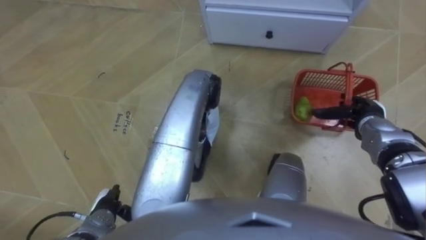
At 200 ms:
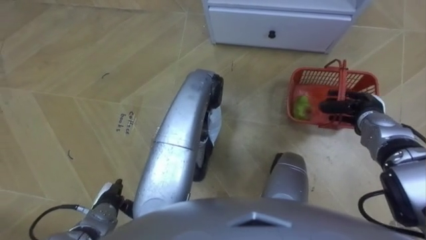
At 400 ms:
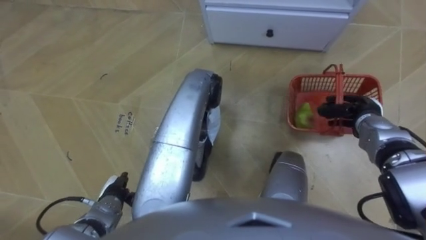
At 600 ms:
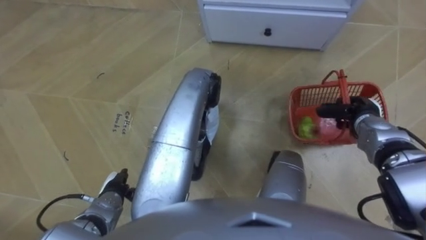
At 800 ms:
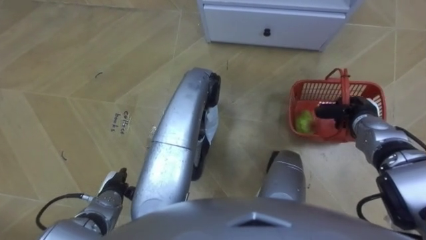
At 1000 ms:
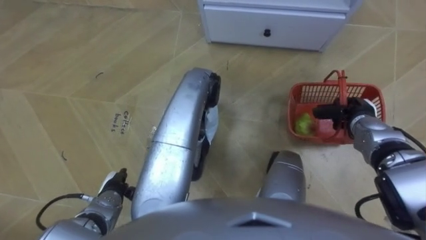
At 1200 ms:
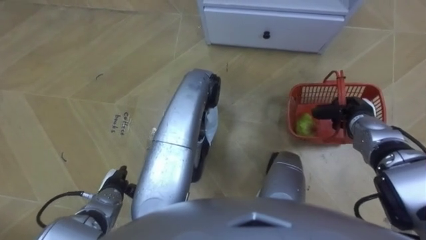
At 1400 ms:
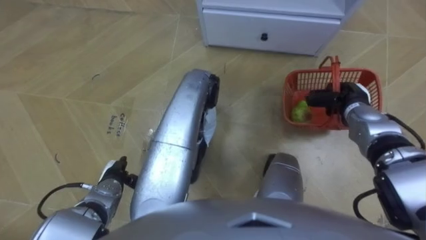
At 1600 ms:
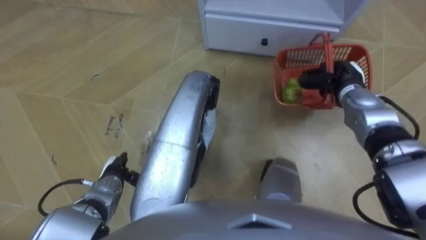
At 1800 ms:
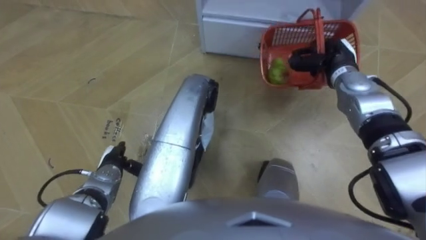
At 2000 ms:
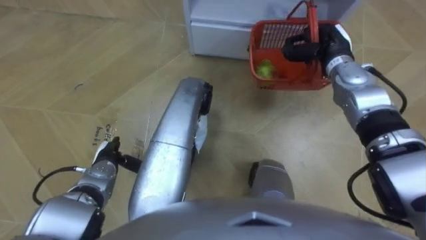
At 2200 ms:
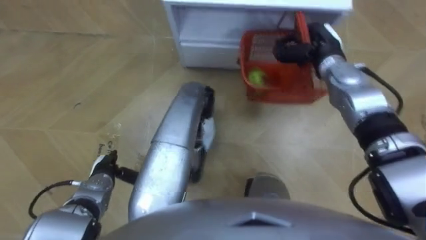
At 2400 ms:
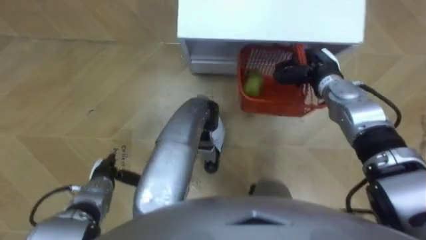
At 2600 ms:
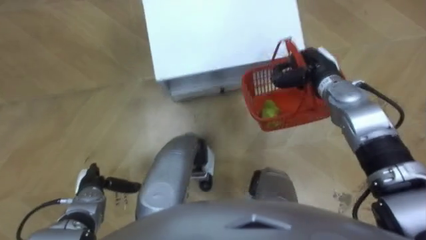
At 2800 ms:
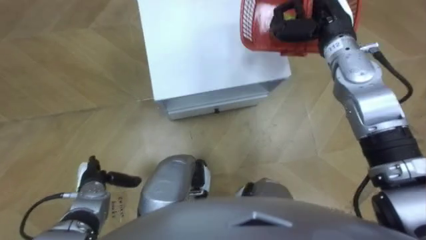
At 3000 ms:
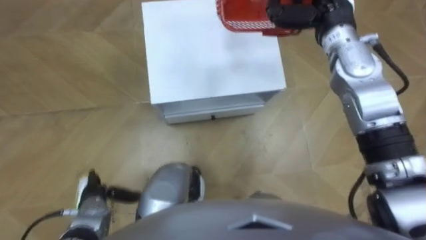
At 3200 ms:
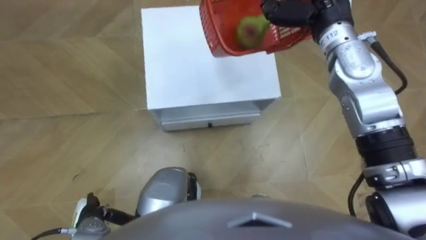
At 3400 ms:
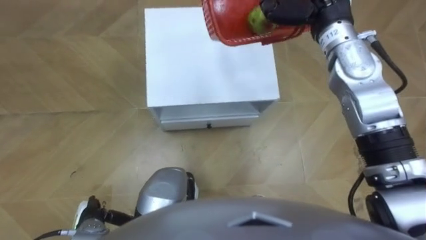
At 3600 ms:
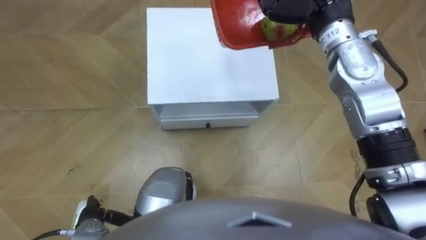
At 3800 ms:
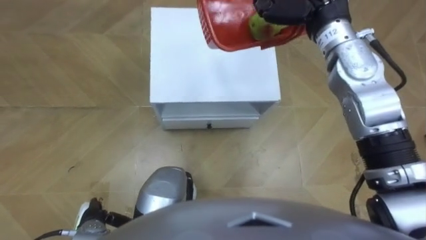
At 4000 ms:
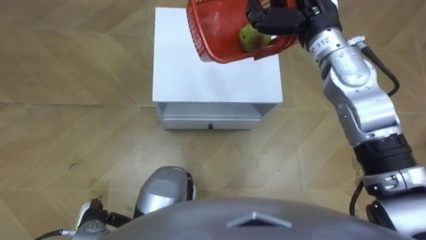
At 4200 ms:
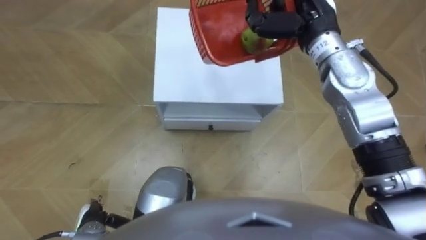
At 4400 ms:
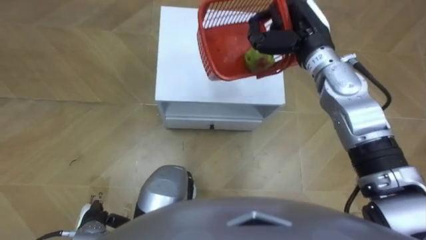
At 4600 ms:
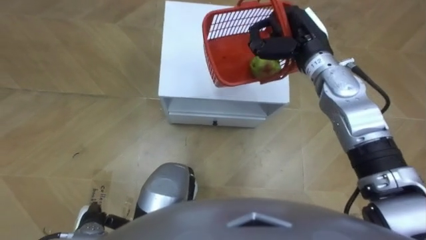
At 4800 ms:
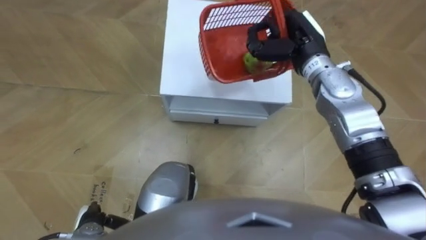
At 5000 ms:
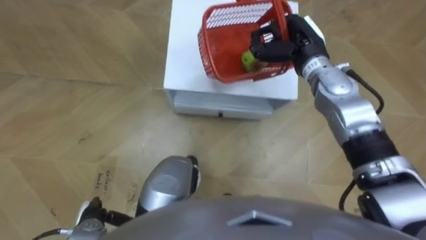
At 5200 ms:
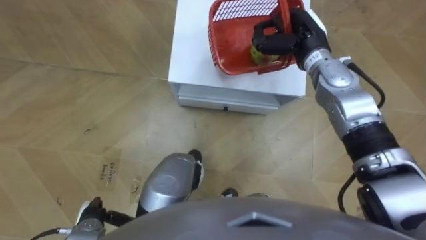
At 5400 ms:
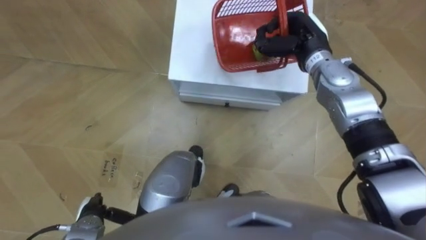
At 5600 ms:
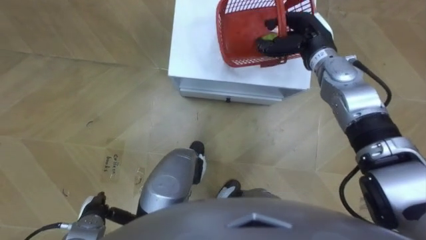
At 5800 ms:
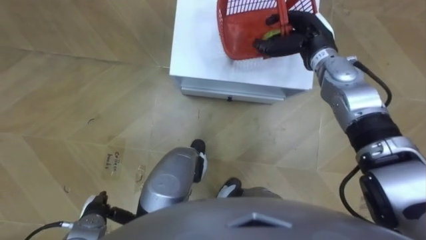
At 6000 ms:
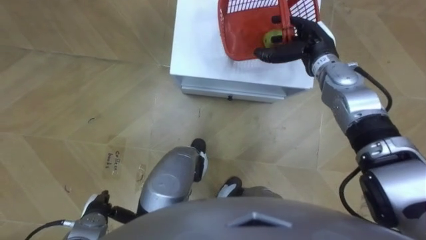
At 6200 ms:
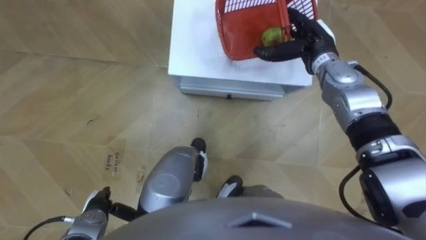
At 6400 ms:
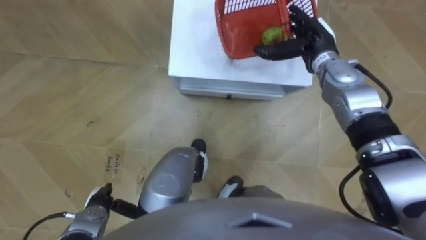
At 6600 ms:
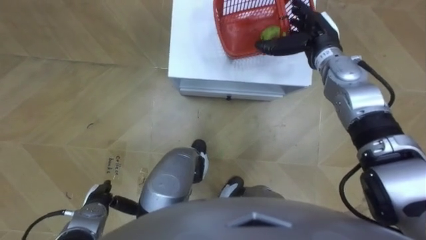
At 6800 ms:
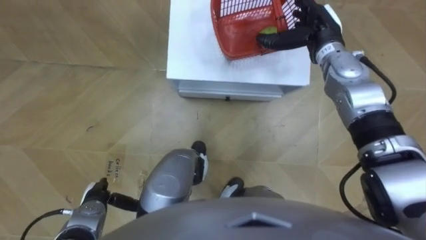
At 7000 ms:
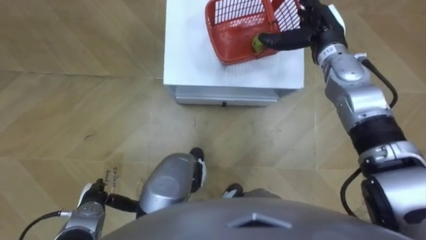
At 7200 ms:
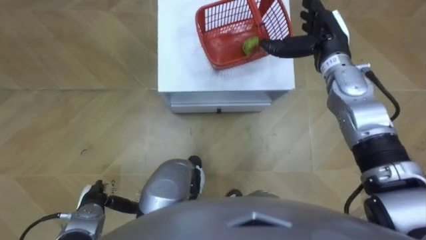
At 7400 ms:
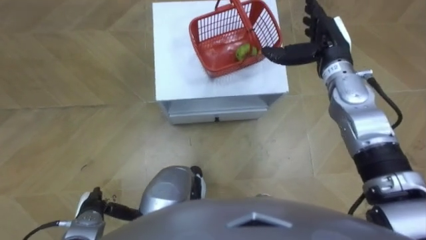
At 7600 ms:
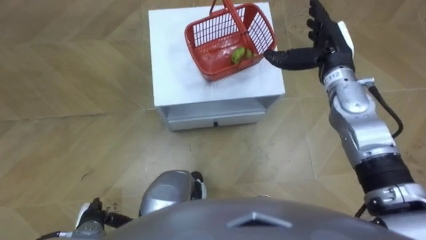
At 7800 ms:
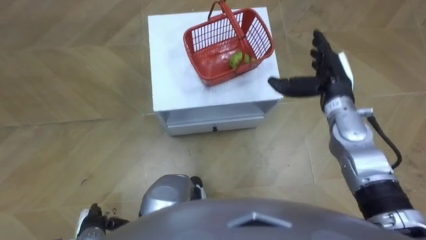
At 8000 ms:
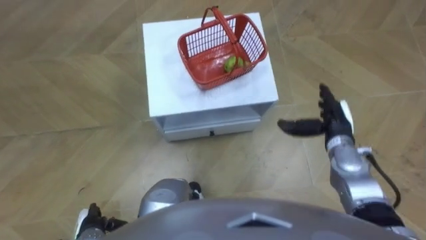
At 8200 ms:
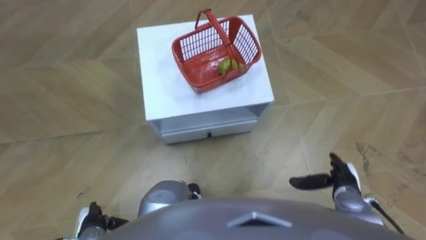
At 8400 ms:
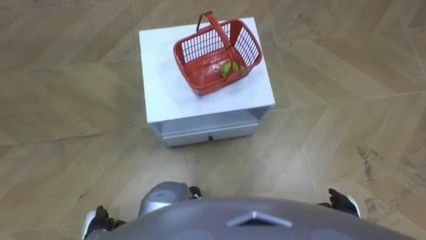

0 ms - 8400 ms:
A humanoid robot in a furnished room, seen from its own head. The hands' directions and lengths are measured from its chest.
Task of the whole recording: Pick up the fruit basket from the floor and place it on the cabinet.
0 ms - 1400 ms: The left hand travels forward by some 5 cm; the right hand closes its fingers.
1400 ms - 2800 ms: The robot turns to its right by approximately 20 degrees. The right hand goes some 20 cm upward, to the left and forward.
2800 ms - 4200 ms: The left hand heads backward, covering some 10 cm.
4200 ms - 5600 ms: The right hand heads downward, covering roughly 10 cm.
5600 ms - 7000 ms: The right hand opens.
7000 ms - 8400 ms: The right hand travels backward and downward by roughly 40 cm; the left hand goes roughly 5 cm backward.

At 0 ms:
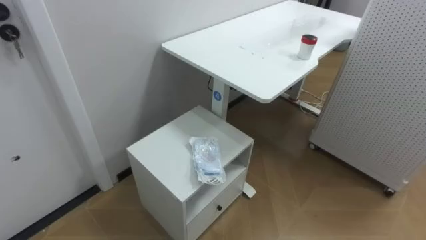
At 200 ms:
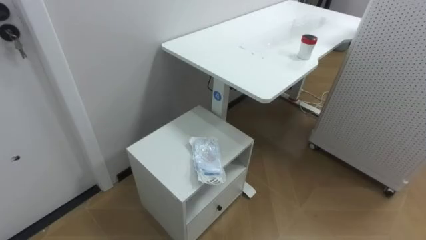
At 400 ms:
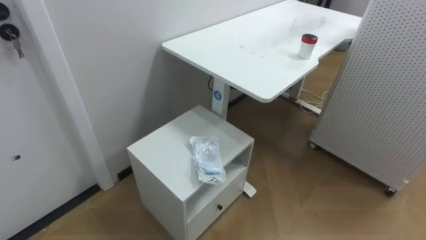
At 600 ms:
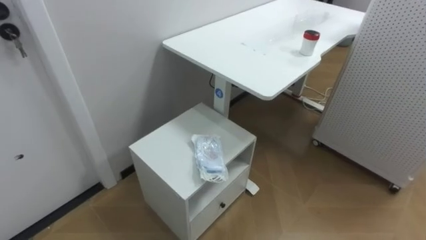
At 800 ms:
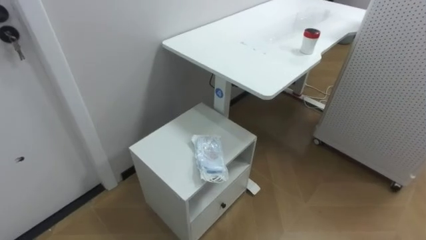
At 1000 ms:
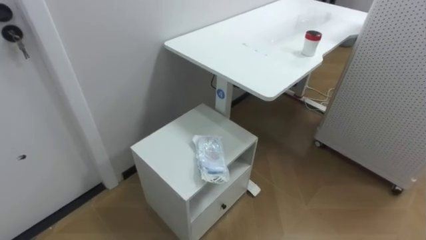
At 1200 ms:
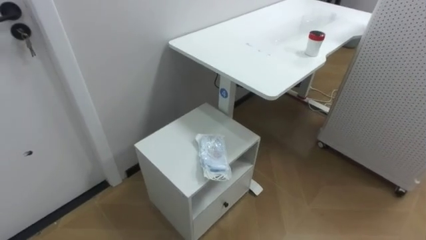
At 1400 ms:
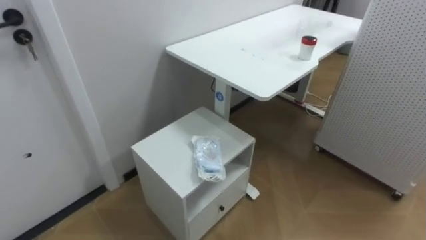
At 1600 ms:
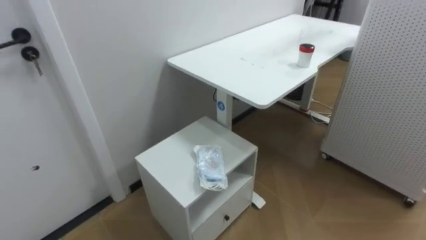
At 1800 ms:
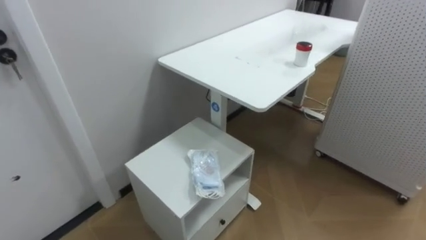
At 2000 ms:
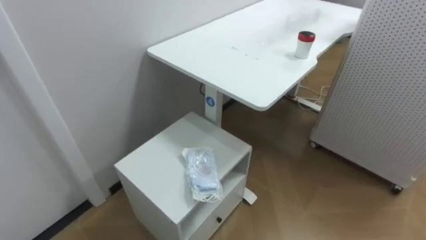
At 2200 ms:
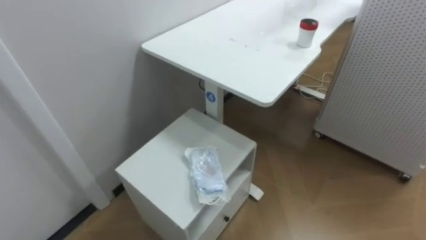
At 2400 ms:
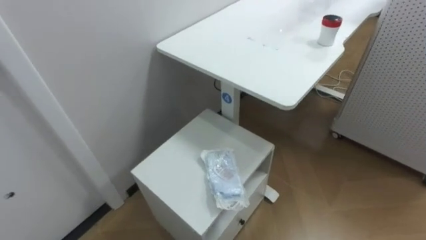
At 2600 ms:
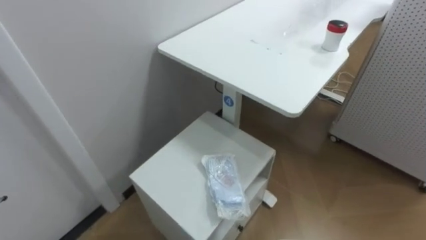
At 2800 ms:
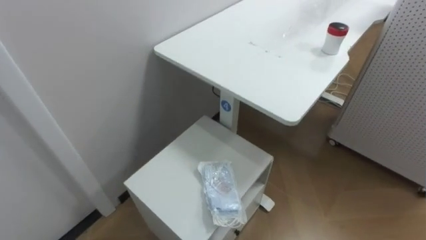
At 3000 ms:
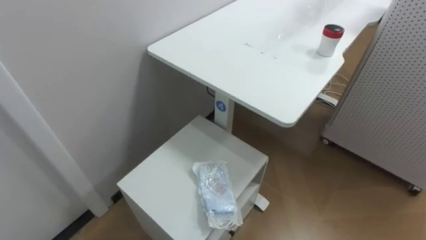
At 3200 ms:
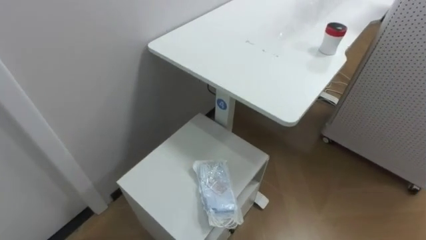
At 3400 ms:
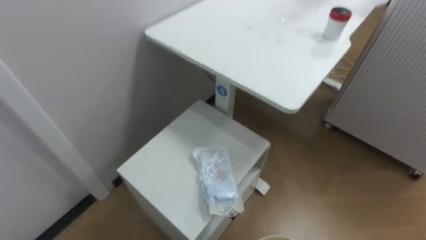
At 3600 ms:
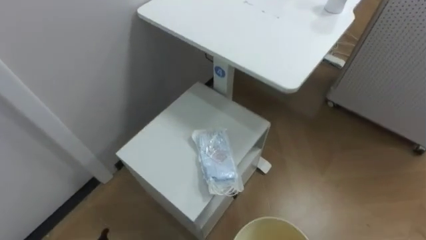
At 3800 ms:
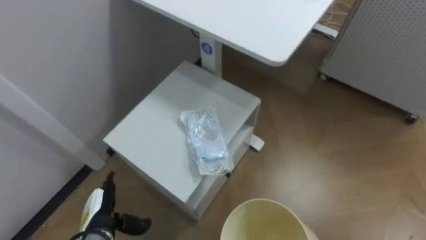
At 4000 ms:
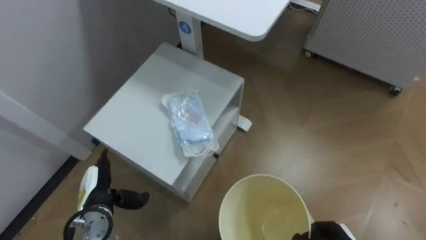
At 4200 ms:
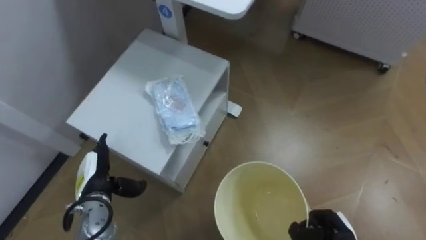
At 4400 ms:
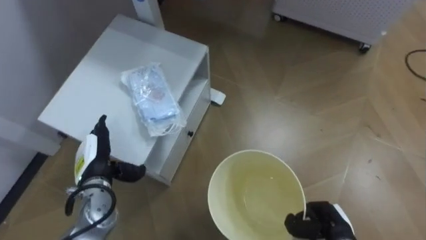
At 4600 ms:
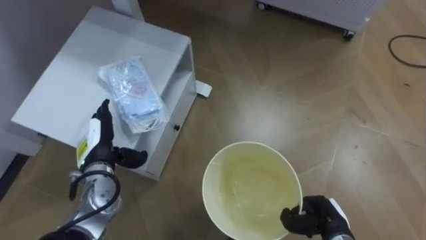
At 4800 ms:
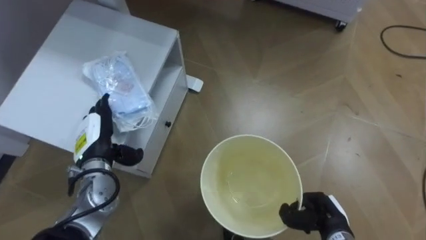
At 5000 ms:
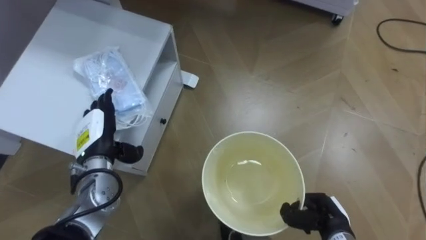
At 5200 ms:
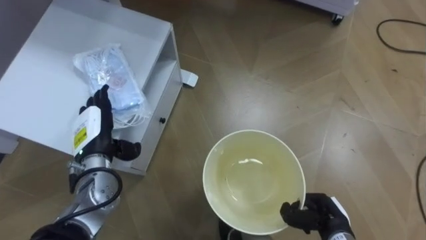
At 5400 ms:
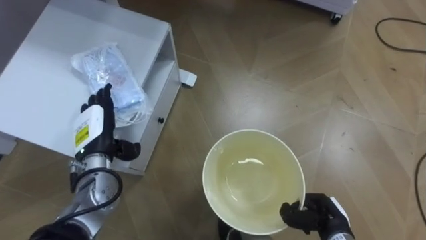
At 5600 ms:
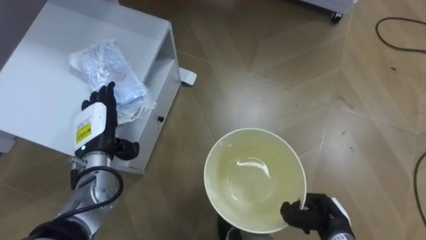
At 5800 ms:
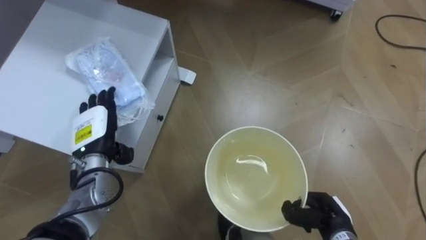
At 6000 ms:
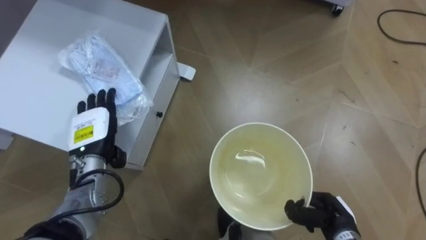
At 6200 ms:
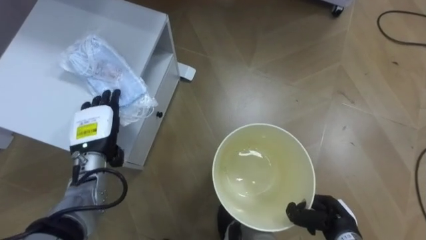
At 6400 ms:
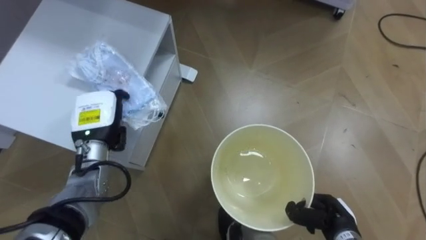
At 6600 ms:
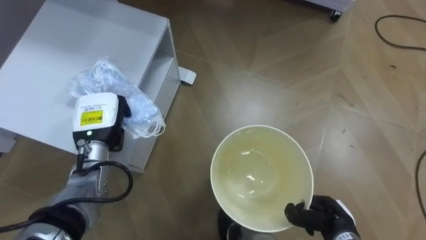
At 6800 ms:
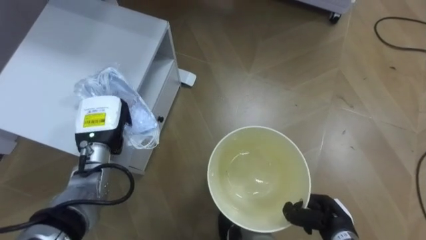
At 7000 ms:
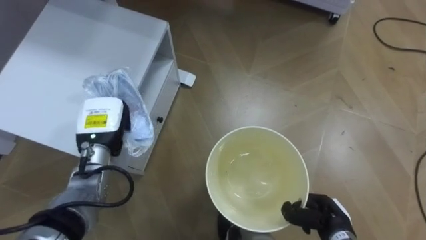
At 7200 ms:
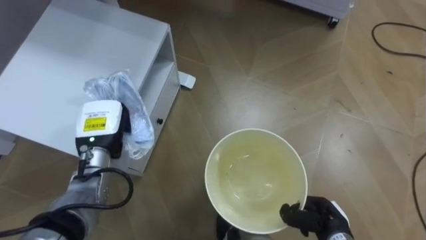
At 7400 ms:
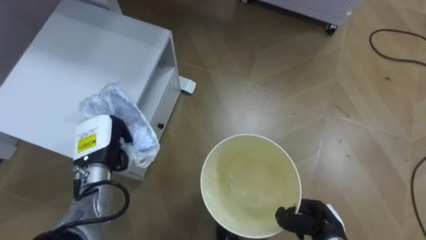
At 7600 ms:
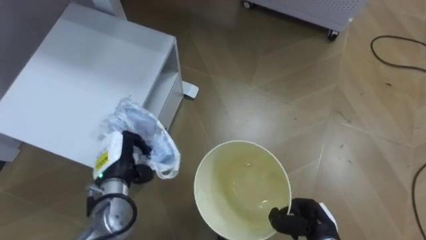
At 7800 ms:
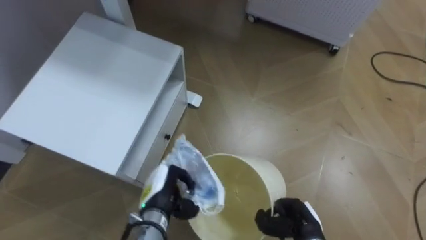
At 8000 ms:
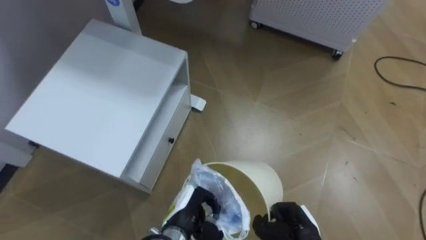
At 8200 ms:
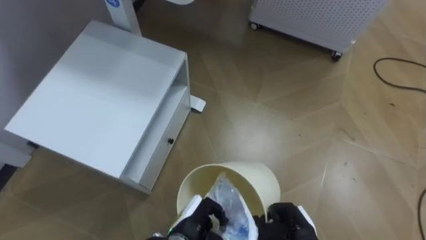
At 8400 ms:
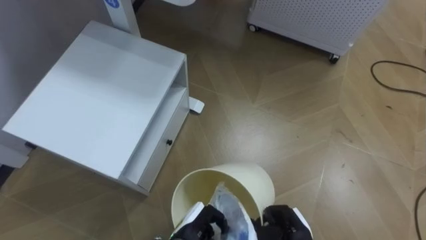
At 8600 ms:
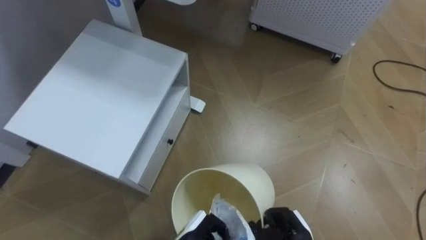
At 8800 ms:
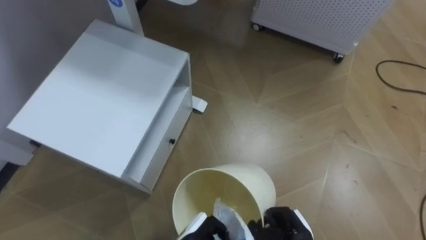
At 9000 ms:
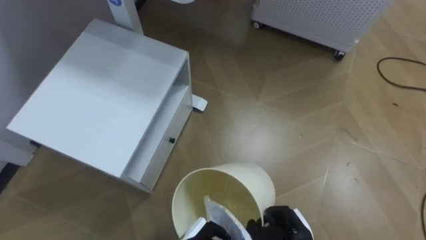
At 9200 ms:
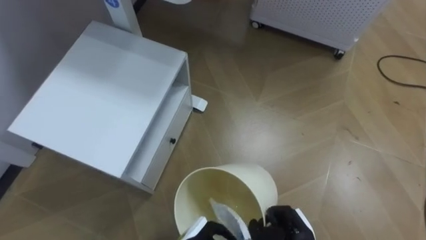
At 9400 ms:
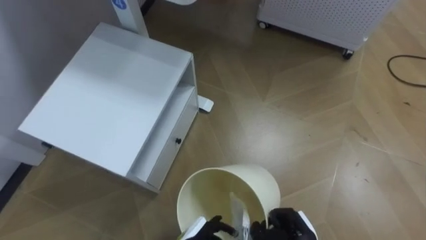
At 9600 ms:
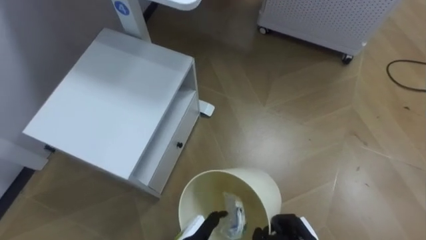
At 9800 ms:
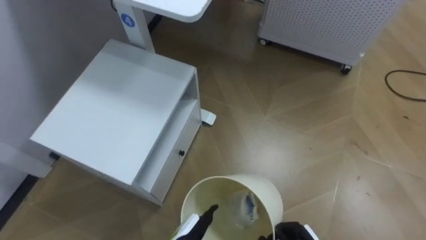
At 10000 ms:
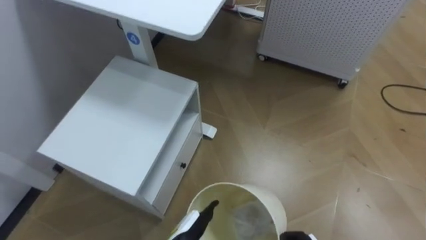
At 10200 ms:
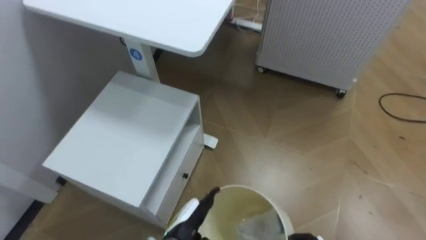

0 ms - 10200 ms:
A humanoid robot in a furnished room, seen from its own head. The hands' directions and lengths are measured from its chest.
Task of the whole recording: Pick up the light blue package, the candy box, and the dark blue package separately, and put them into the trash can held in your right hand.
4400 ms - 5800 ms: The left hand shifts approximately 5 cm upward.
5800 ms - 7200 ms: The left hand closes.
7200 ms - 8800 ms: The right hand shifts approximately 5 cm to the left, while the left hand shifts roughly 30 cm to the right, downward and backward.
